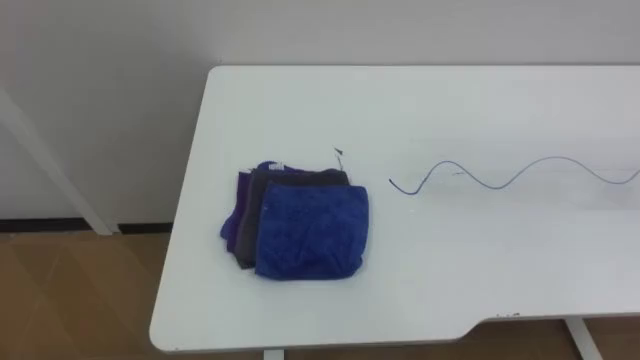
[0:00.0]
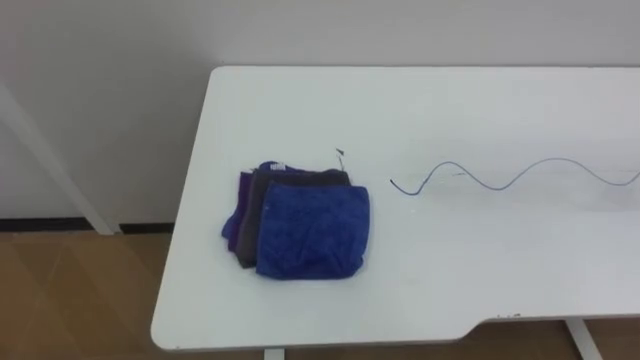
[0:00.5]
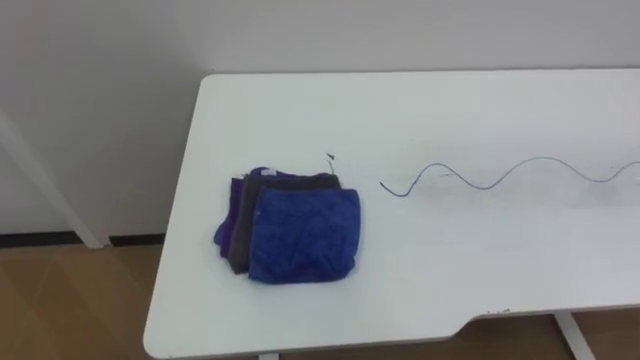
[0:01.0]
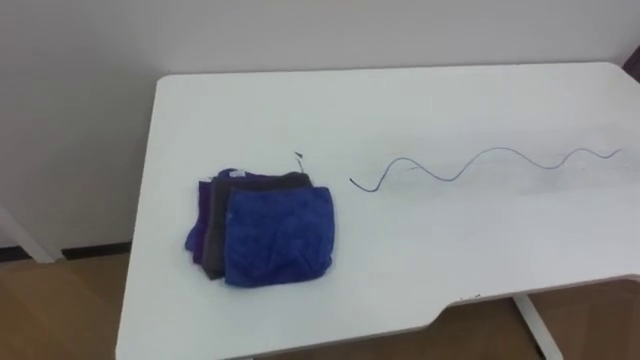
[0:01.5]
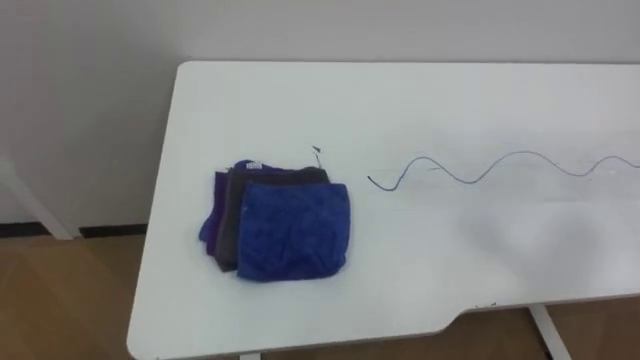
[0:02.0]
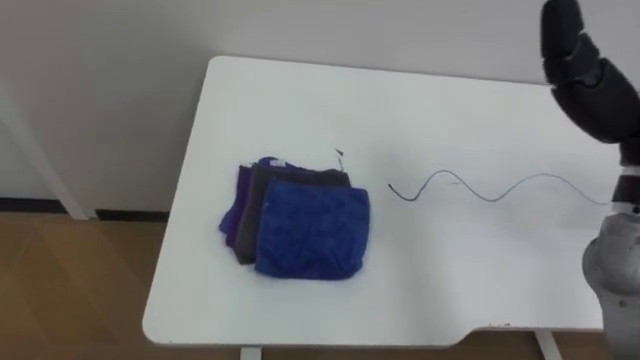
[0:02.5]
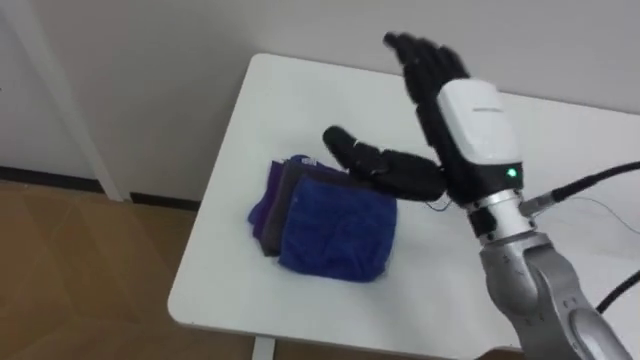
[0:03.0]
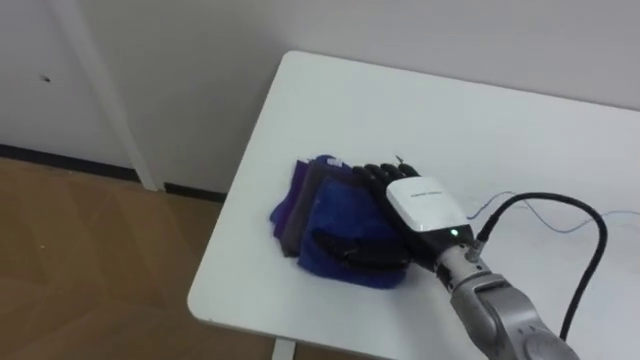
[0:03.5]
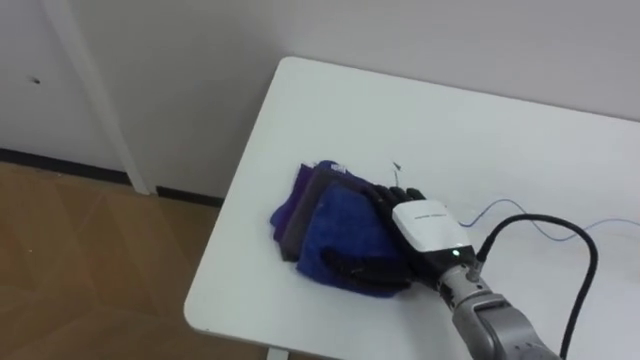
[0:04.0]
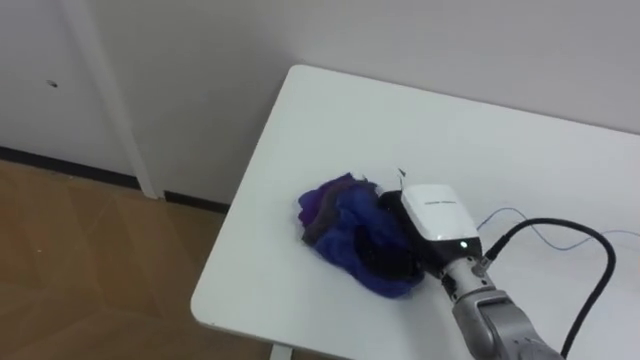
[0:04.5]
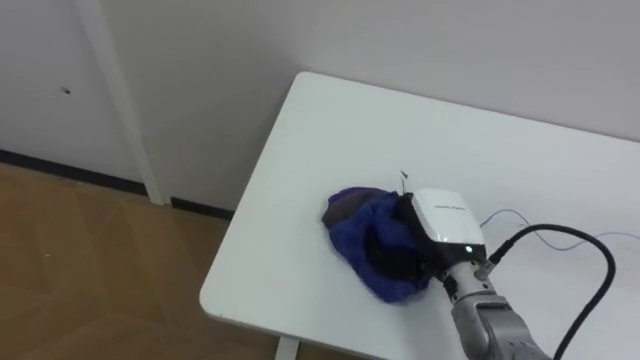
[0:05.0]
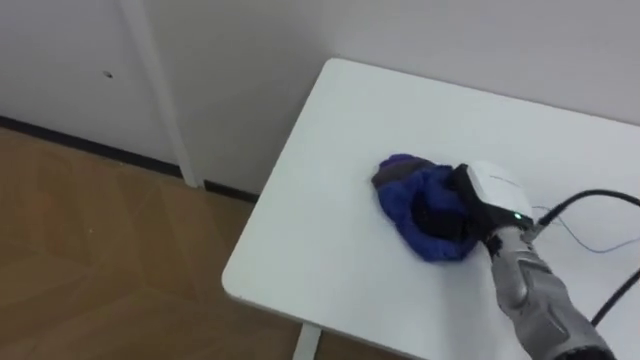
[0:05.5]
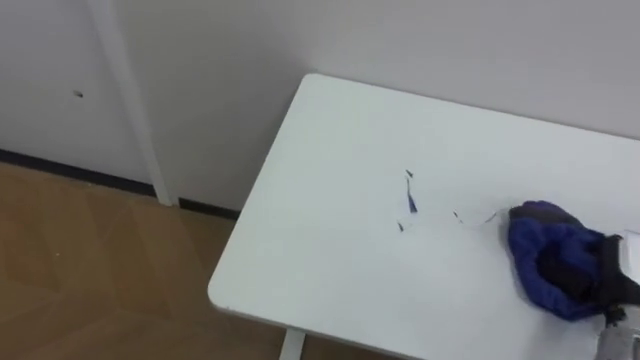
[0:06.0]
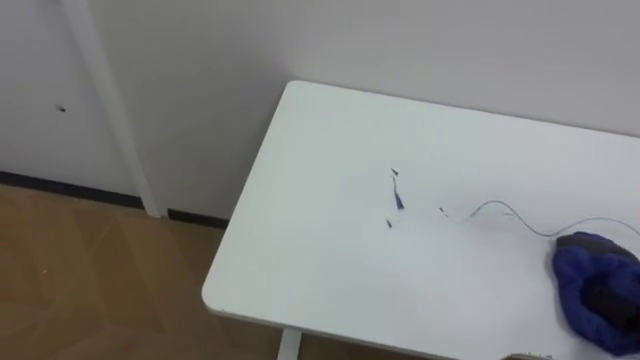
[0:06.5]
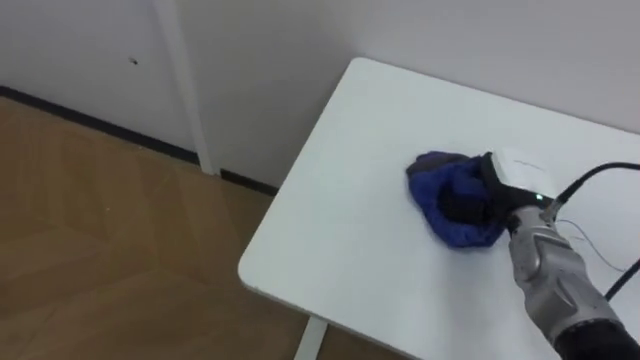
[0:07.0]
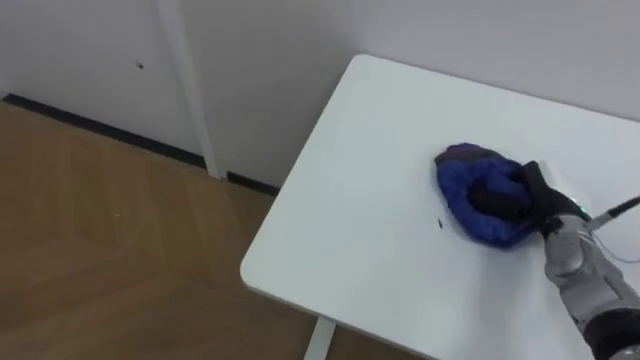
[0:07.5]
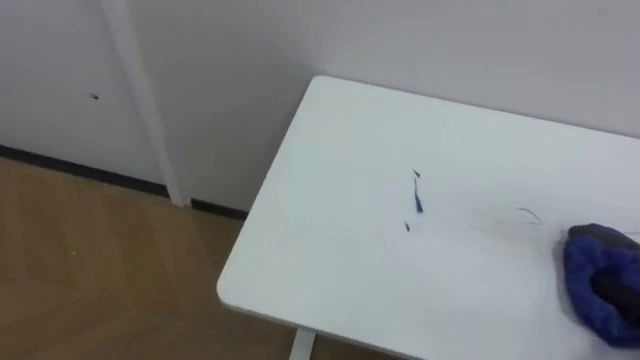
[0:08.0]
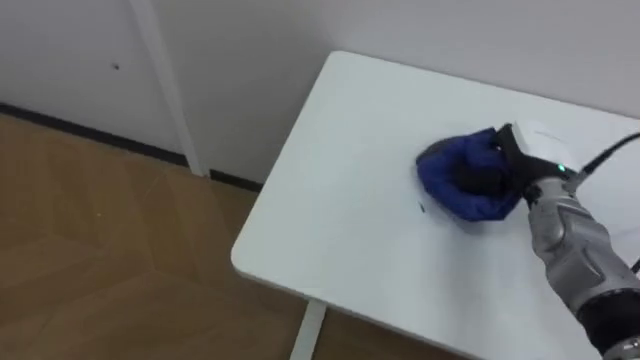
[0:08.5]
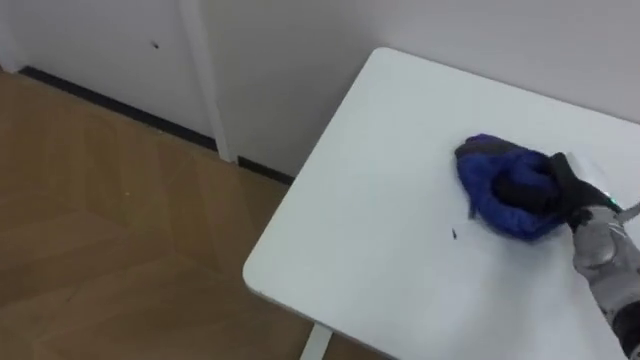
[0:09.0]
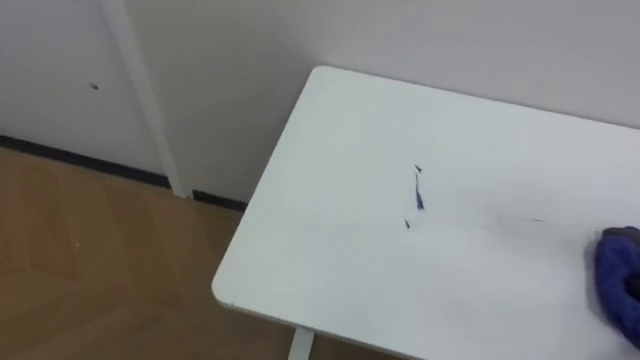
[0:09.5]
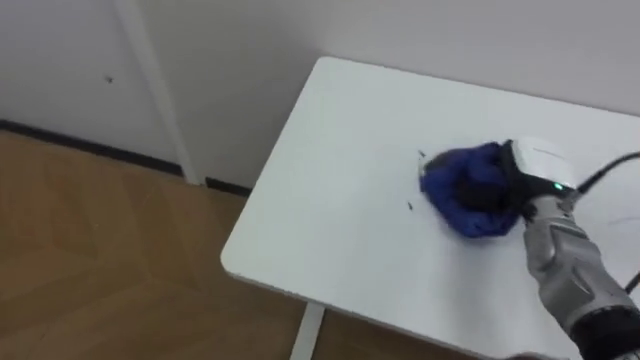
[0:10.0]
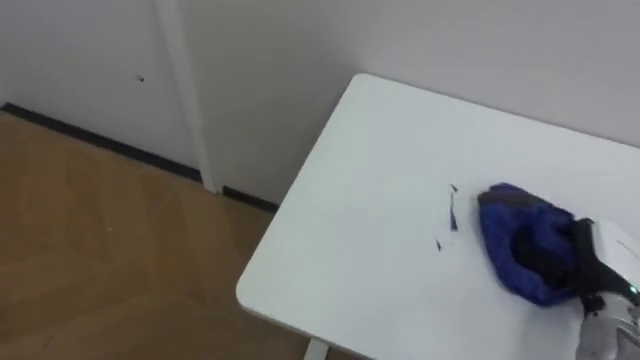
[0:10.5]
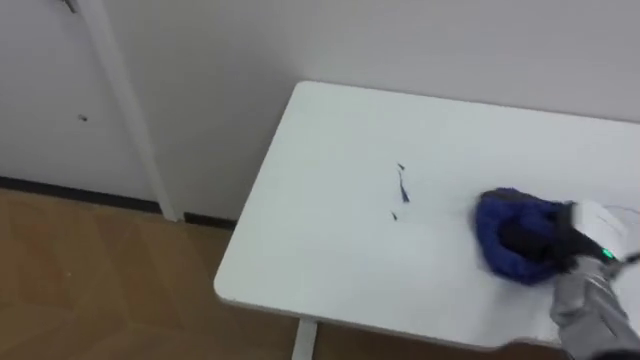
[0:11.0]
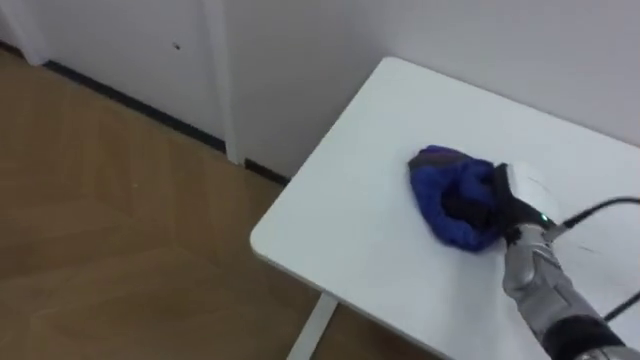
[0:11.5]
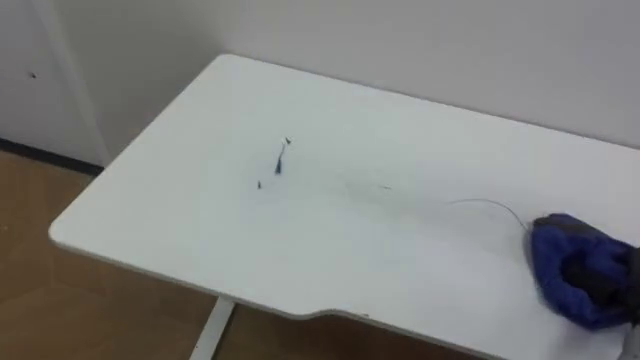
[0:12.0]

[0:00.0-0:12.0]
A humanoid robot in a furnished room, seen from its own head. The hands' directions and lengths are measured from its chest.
Task of the whole recording: Wipe the blue pen marks off the table with the rag.
0:04.0 to 0:06.0: The right hand goes approximately 25 cm to the right, and closes up.

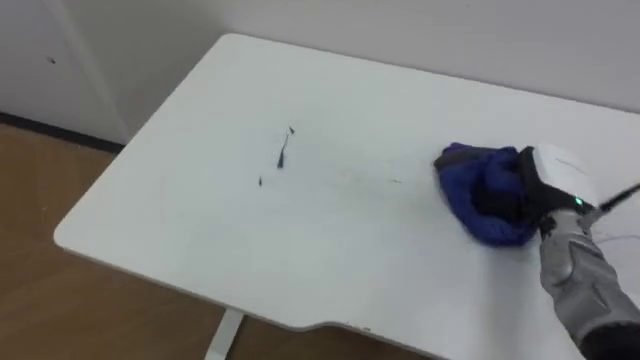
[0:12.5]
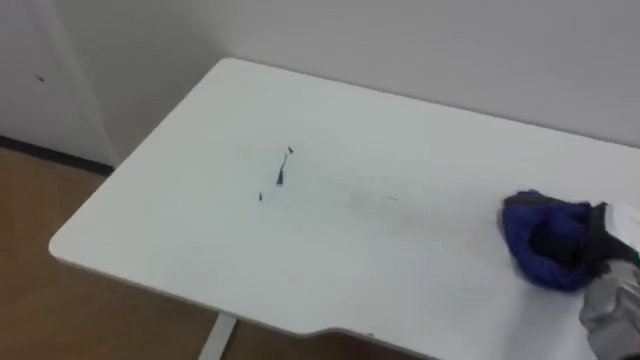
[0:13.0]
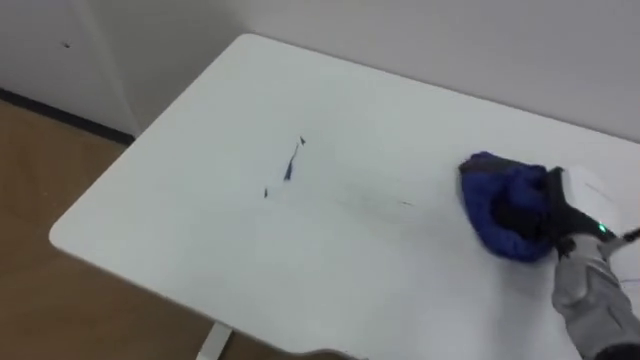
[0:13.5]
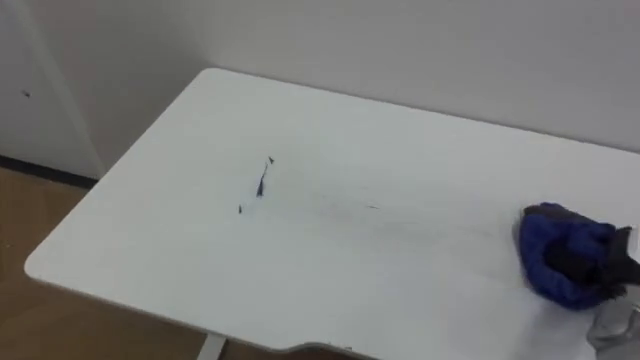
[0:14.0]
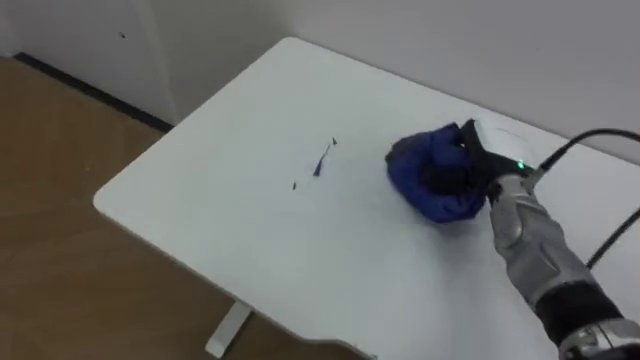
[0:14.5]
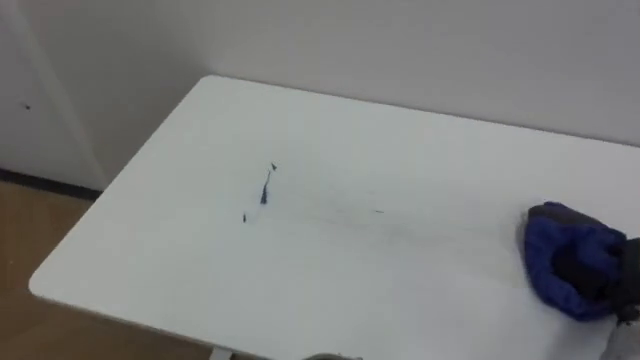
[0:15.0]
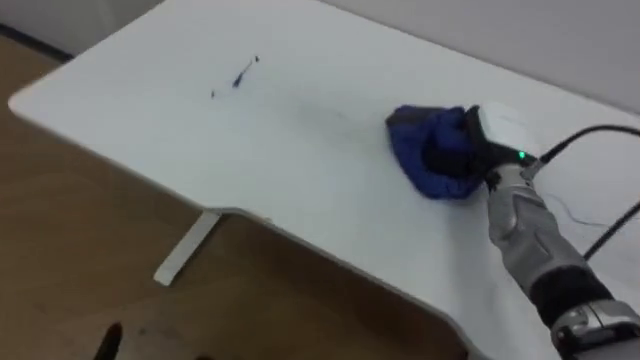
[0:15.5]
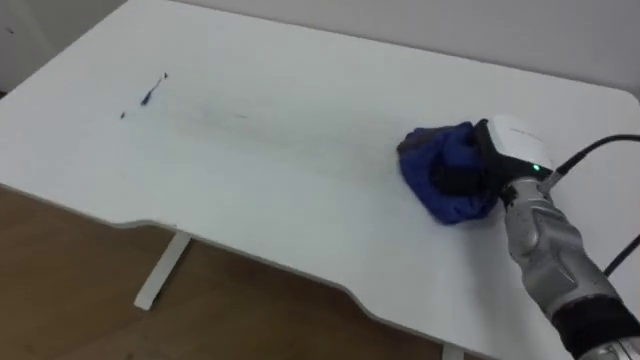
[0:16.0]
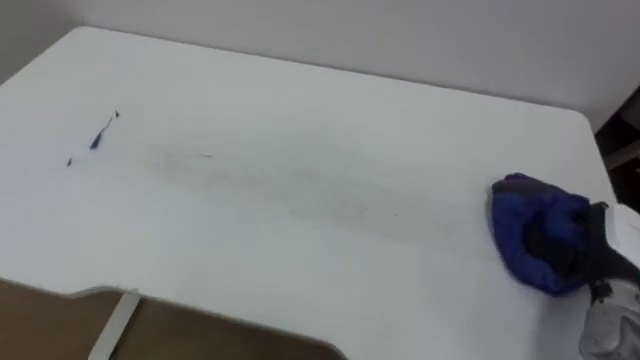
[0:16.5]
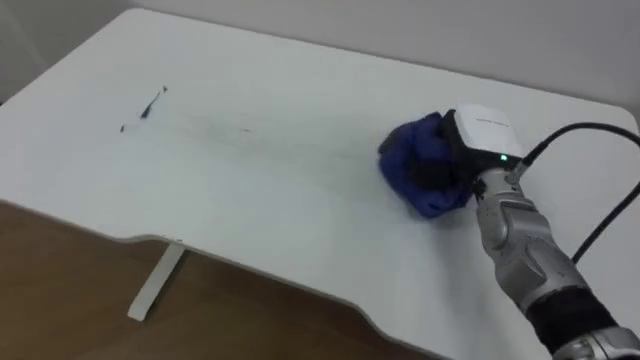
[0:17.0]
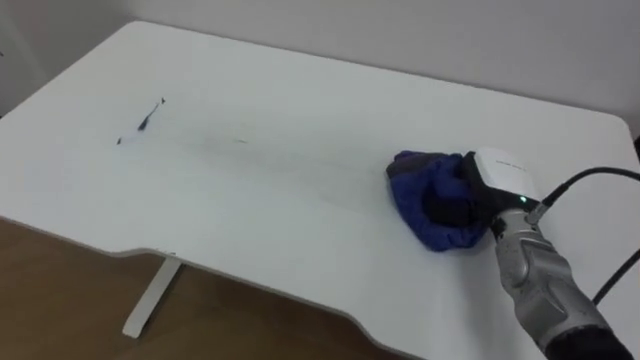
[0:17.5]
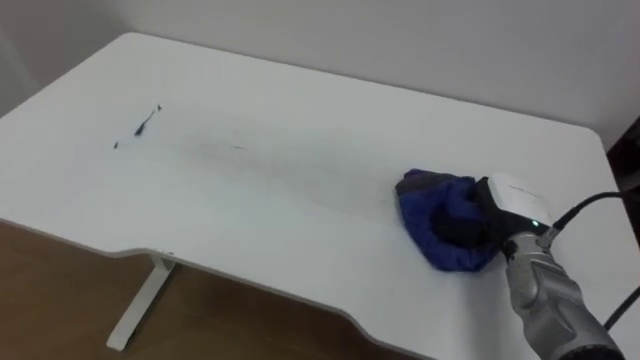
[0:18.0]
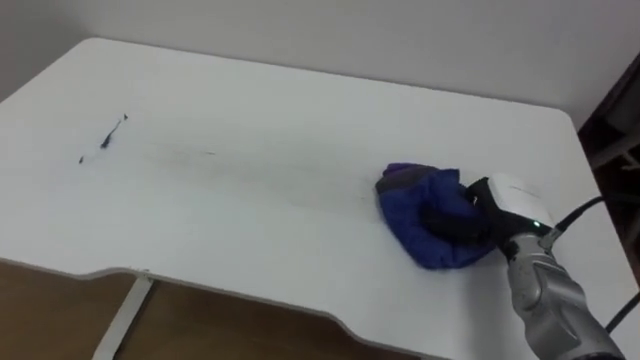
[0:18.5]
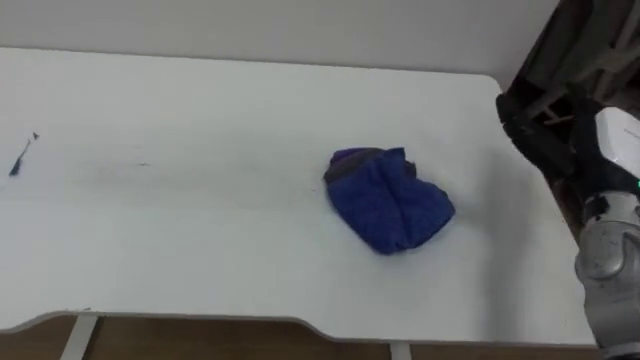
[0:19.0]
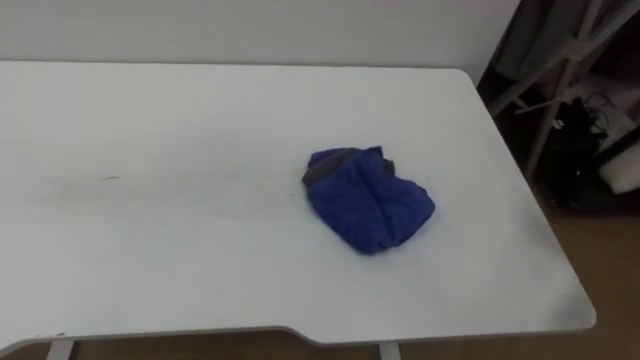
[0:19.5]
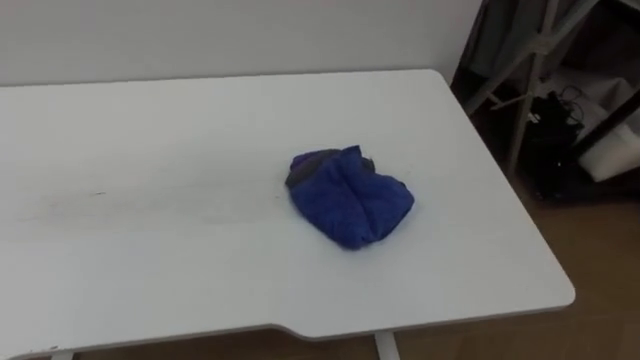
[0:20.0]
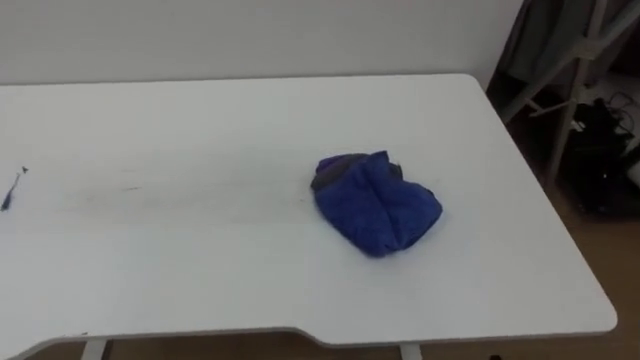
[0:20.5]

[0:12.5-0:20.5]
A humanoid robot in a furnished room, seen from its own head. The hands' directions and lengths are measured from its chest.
Task of the whole recording: Wipe the blue pen marks off the table with the rag.
0:14.5 to 0:16.5: The right hand swings left and right, some 20 cm each way, with 2 reversals.
0:16.5 to 0:18.5: The right hand goes approximately 10 cm to the left and forward.
